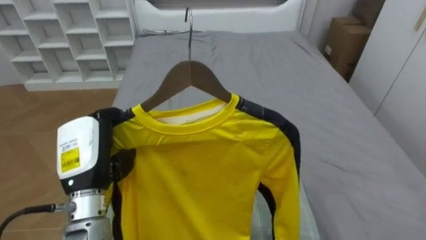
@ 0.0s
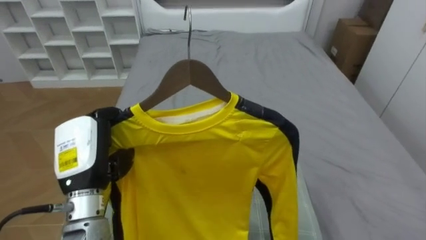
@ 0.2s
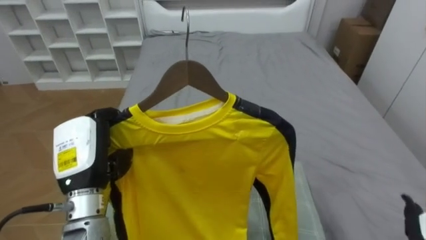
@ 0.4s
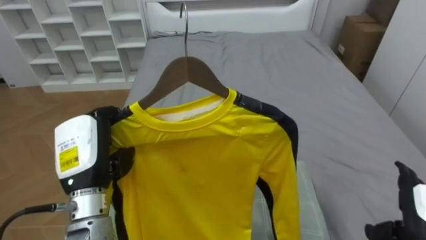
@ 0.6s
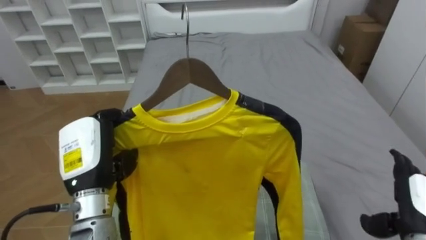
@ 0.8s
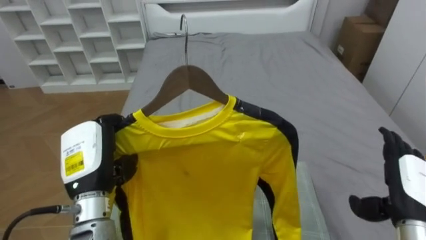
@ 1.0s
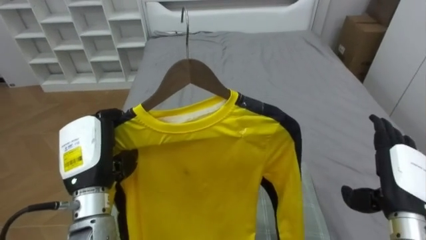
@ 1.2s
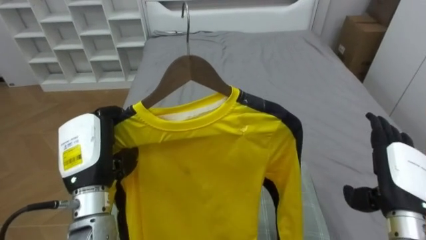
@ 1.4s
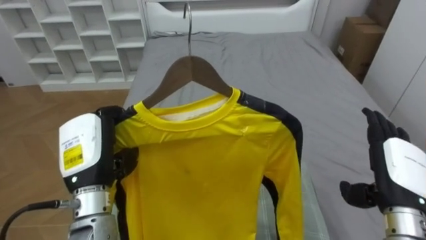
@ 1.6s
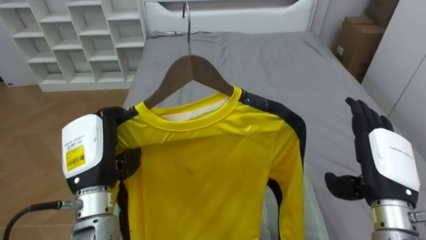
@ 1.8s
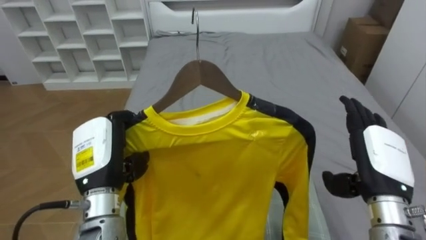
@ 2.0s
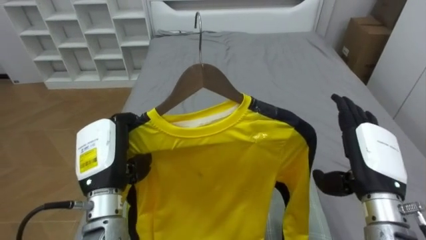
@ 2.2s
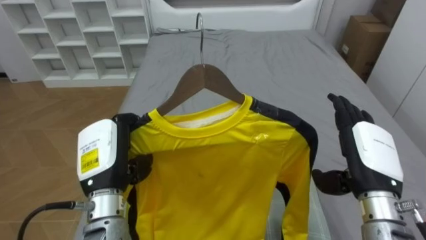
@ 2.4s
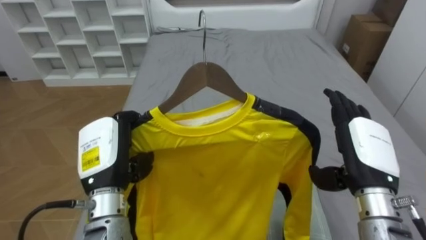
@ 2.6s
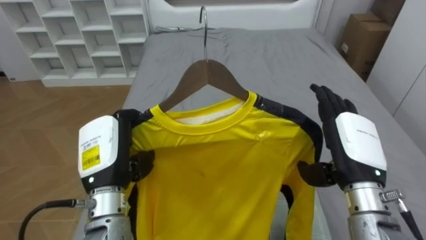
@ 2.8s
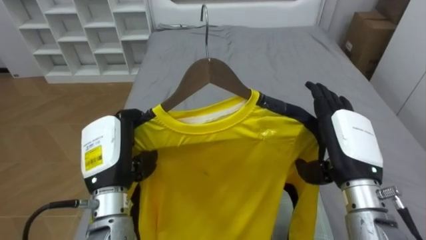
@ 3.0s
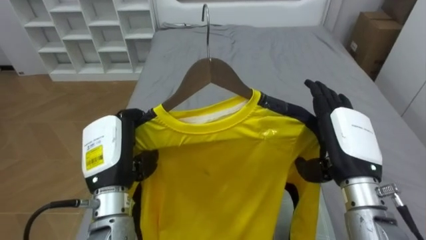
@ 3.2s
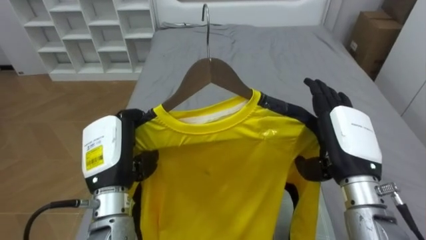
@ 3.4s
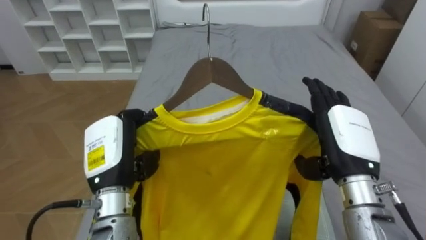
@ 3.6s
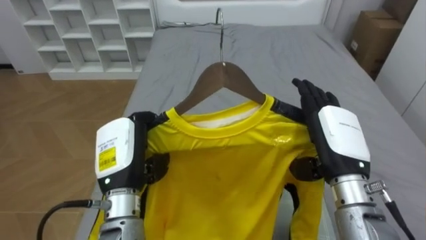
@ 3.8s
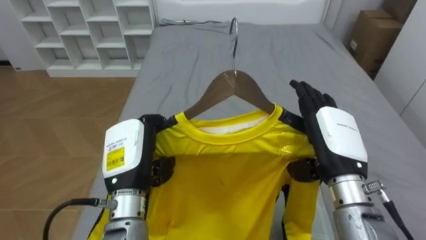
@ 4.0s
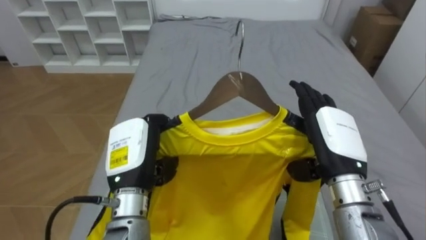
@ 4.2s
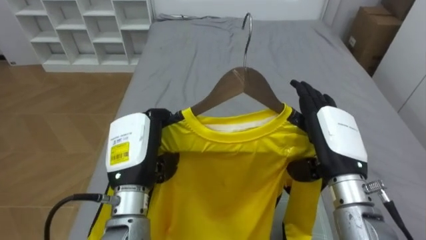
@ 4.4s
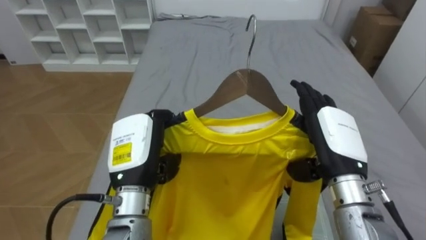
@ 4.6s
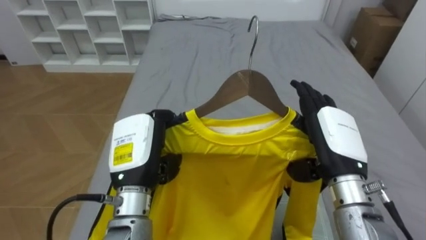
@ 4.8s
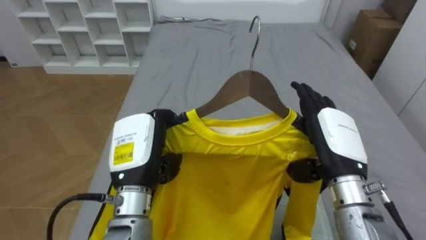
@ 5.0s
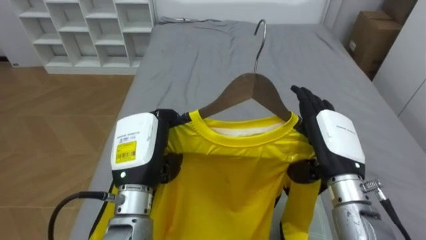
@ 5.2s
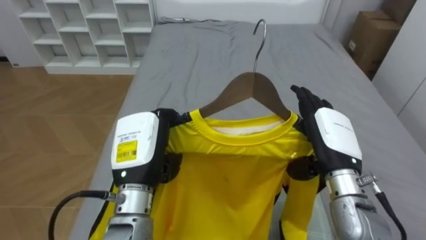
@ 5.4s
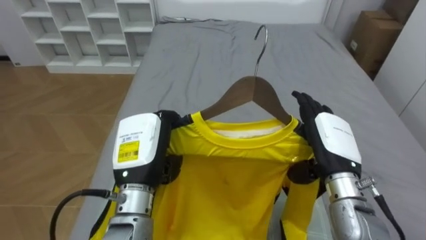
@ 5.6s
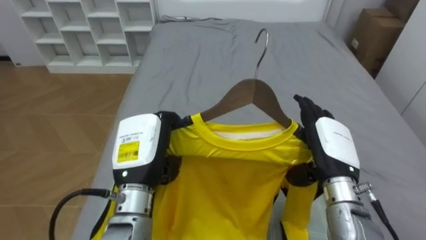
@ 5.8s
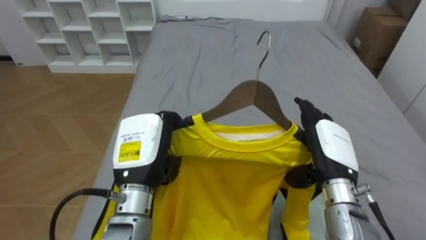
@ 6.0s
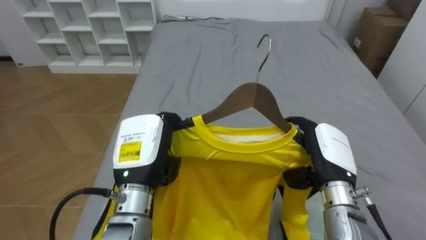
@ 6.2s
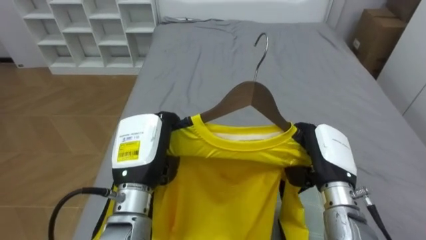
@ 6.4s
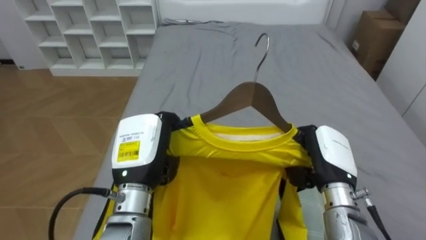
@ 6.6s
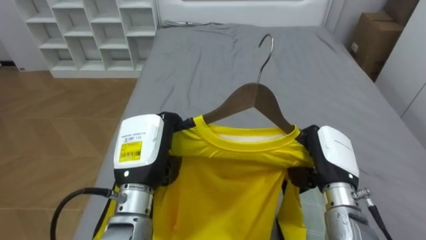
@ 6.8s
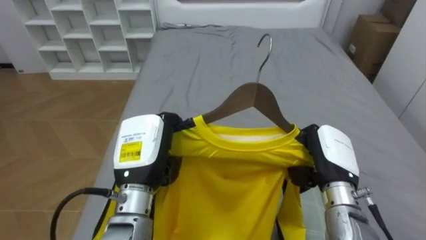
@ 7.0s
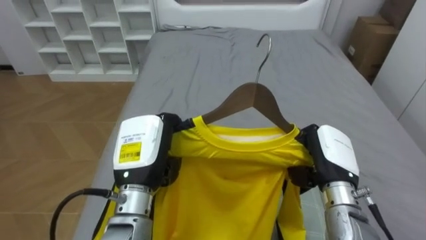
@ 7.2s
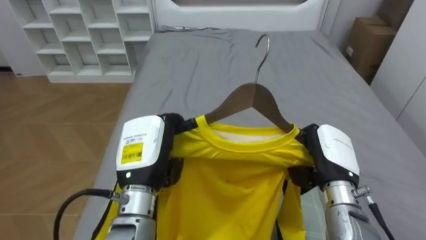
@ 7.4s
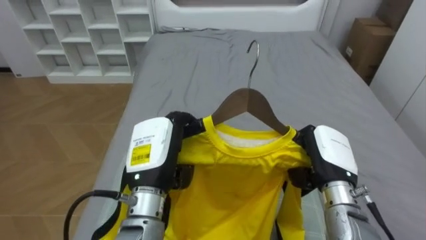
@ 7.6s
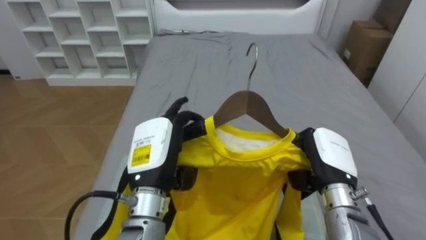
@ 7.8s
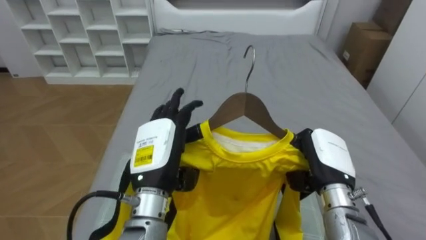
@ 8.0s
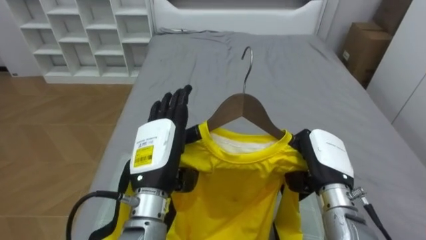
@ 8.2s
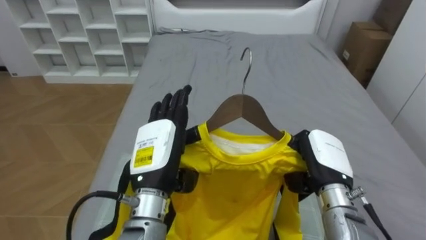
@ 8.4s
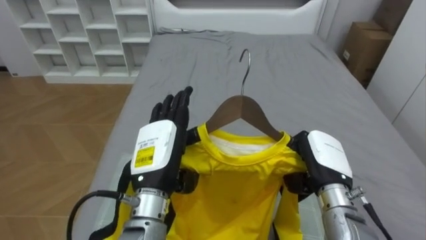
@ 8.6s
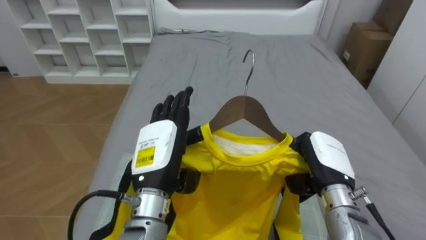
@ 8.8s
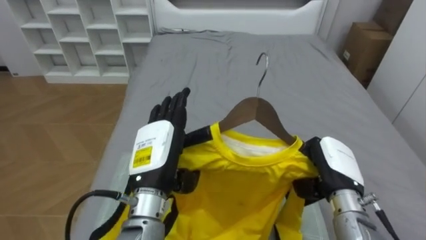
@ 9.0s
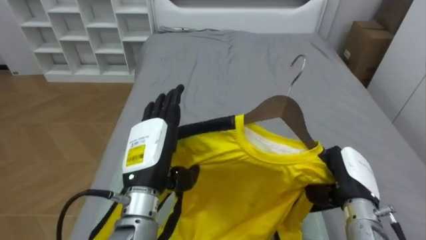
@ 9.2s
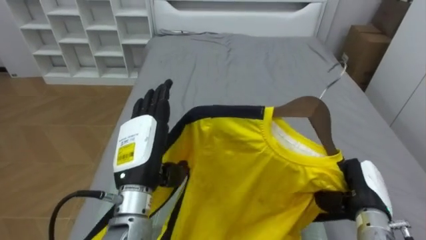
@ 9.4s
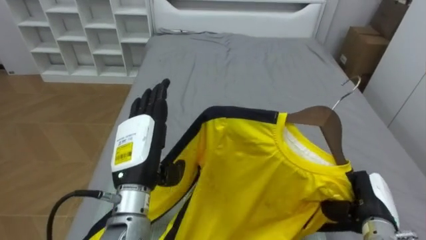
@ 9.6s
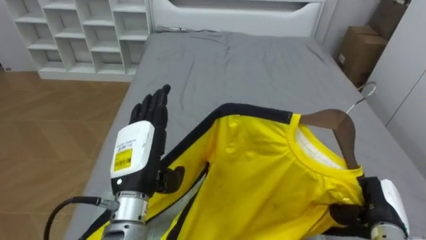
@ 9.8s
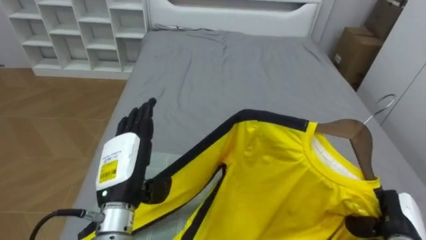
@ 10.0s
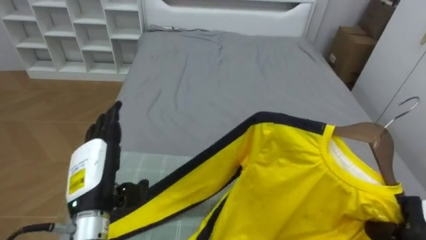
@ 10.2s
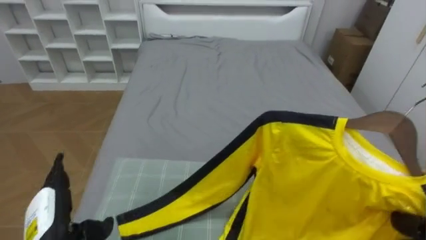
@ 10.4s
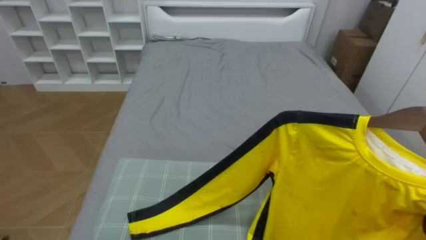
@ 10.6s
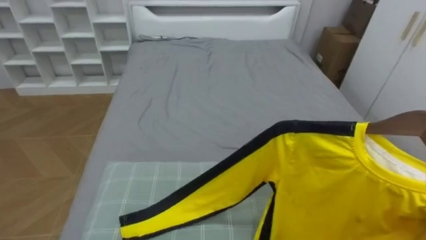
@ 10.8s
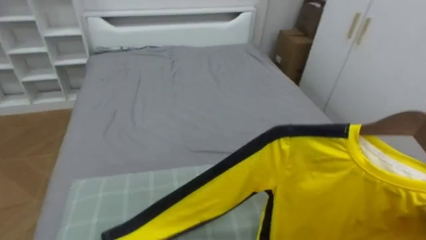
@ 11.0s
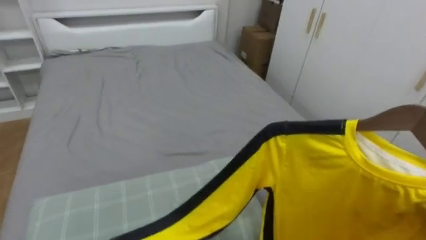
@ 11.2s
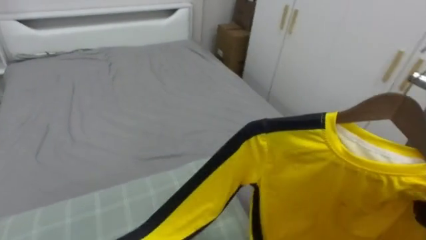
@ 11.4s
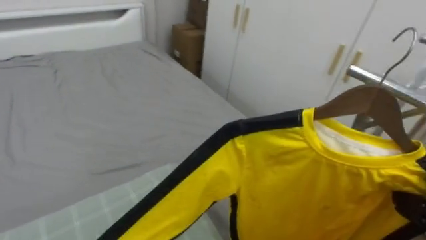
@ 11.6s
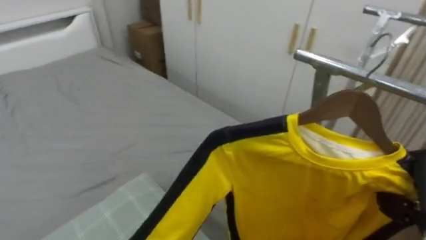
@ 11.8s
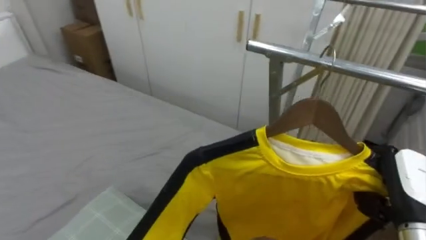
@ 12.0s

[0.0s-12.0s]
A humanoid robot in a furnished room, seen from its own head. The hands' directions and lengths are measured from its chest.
Task of the whole recording: Pick up the yellow shirt on the bed and hang it on the clothes rack on the right.
1.6s to 3.0s: The right hand goes about 10 cm to the left.
4.4s to 6.0s: The right hand moves some 5 cm.
6.0s to 7.6s: The right hand closes up.
7.6s to 9.0s: The left hand opens.
9.0s to 10.4s: The left hand is displaced to the left and downward by roughly 20 cm.
10.4s to 12.0s: The robot turns to its right by about 65 degrees.

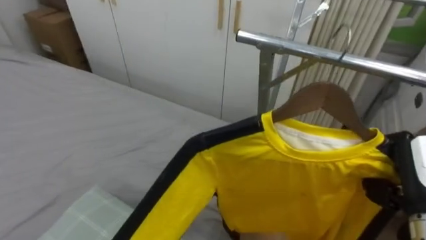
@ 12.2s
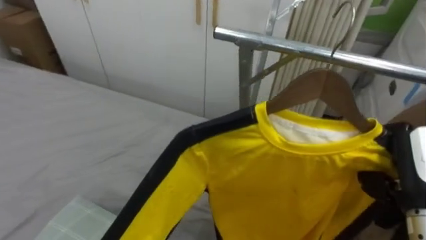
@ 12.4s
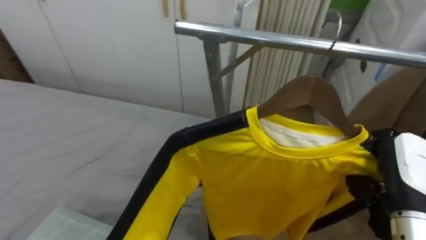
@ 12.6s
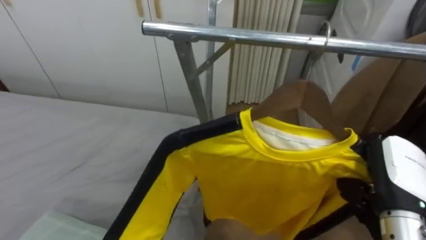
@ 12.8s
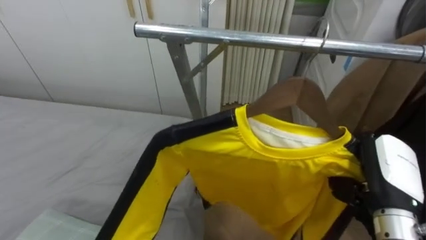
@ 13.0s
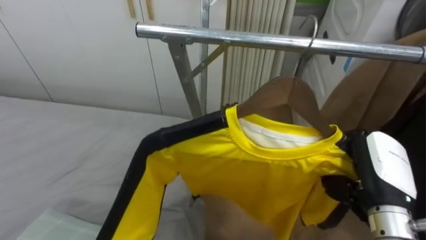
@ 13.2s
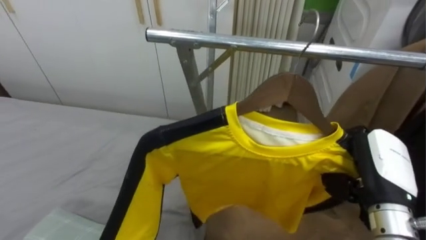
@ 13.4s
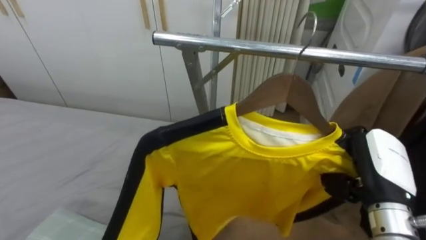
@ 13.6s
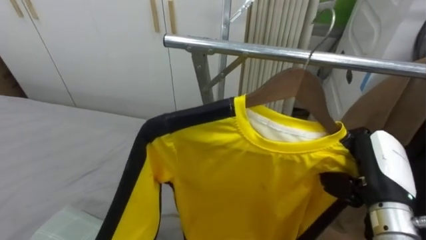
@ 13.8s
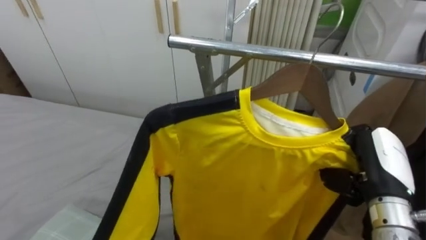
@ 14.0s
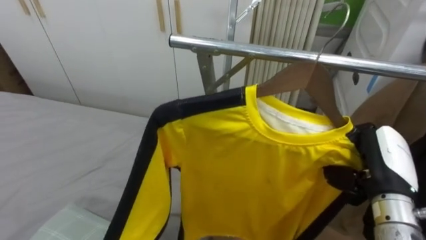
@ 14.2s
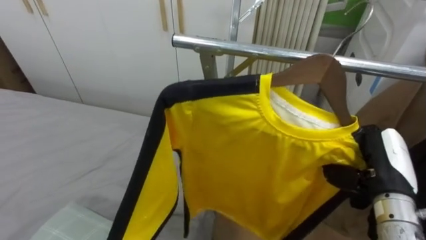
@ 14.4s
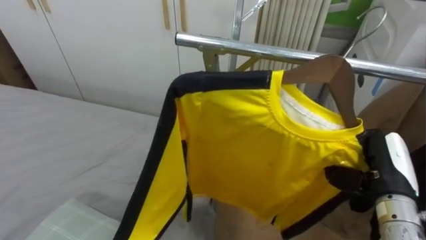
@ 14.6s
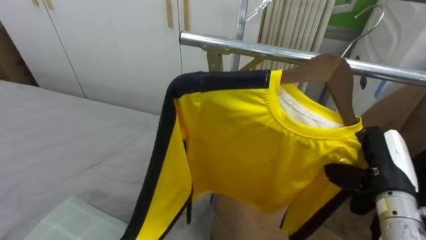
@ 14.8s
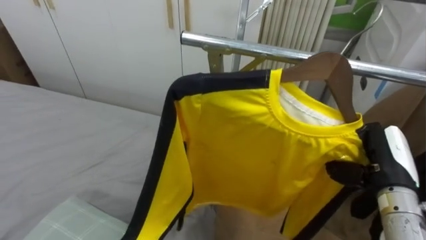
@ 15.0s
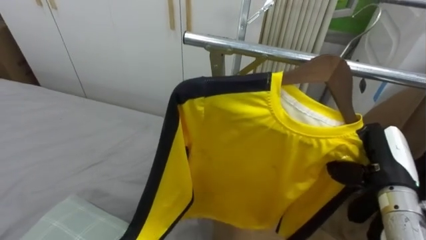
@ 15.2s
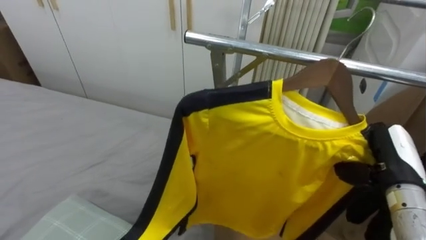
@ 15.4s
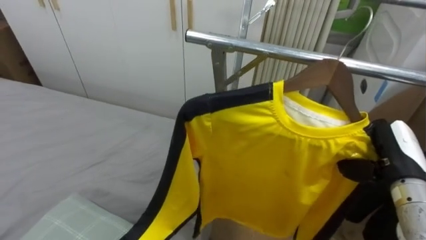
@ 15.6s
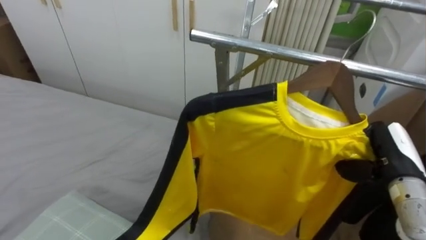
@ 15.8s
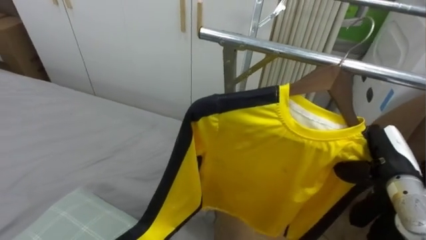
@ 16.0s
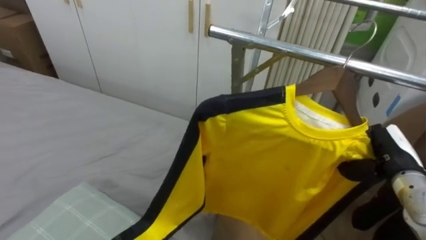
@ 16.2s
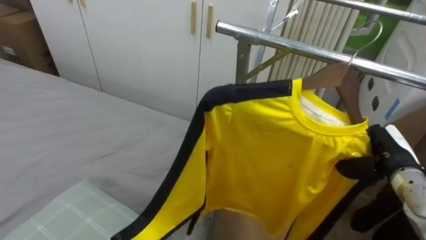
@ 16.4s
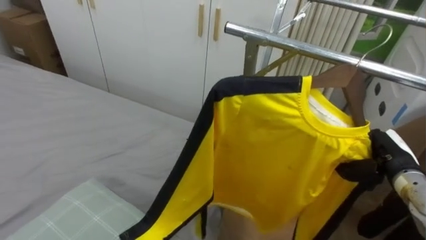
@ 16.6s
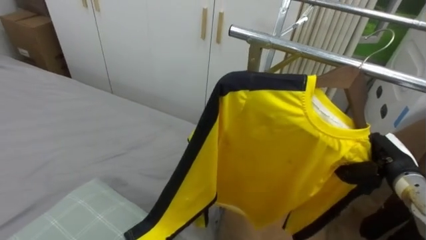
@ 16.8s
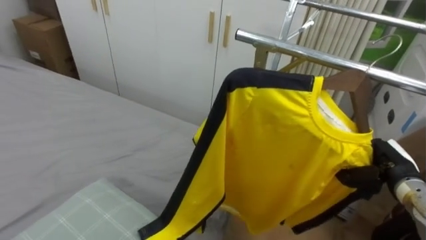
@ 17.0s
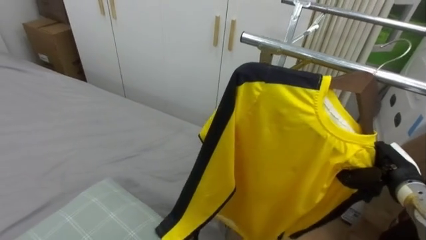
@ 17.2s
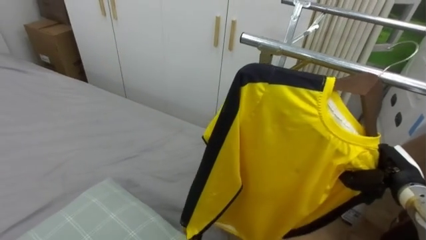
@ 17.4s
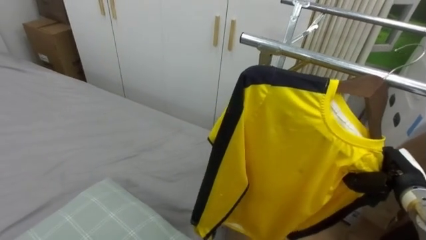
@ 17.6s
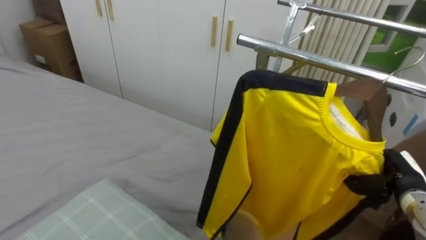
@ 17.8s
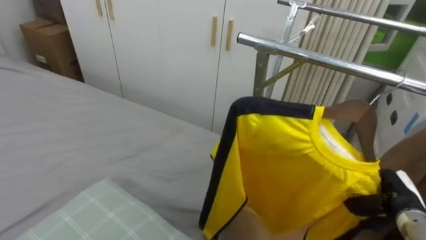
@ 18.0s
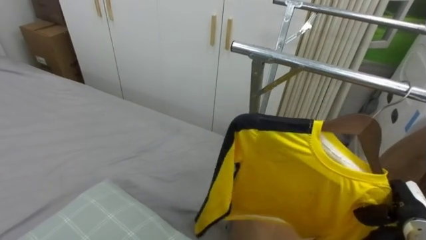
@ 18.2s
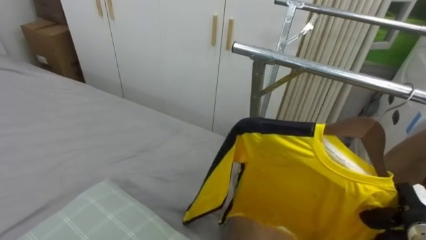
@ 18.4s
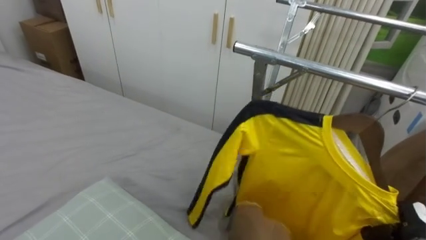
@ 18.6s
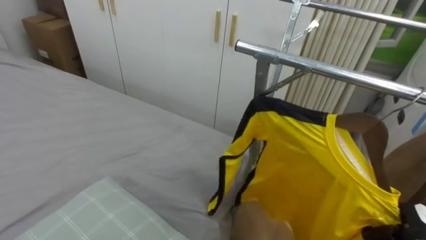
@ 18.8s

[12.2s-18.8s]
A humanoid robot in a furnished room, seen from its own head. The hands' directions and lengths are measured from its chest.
Task of the whole recording: Pick up the yellow shirt on the bed and hang it on the clothes rack on the right.
12.2s to 13.8s: The robot turns to its right by about 15 degrees. The right hand goes about 5 cm to the left.
13.8s to 15.4s: The right hand ends up some 5 cm from where it was.
15.4s to 17.2s: The right hand shifts about 5 cm downward.
17.2s to 18.8s: The right hand travels downward and backward by roughly 10 cm.
